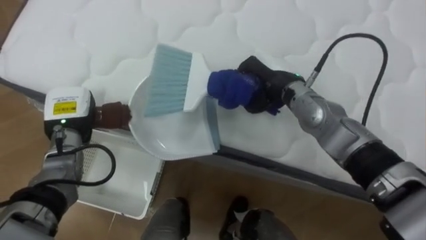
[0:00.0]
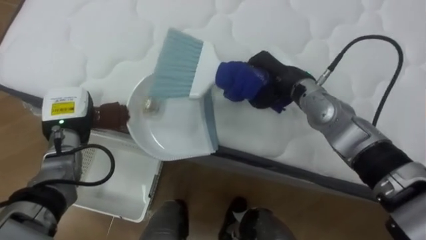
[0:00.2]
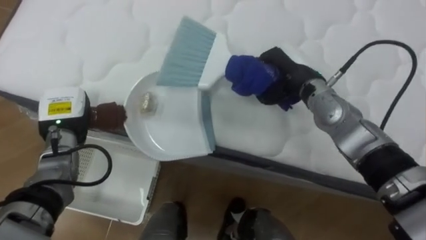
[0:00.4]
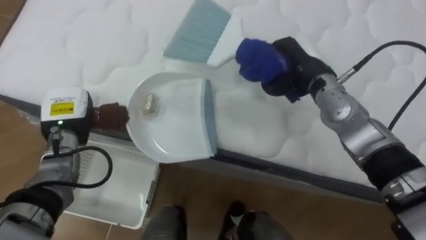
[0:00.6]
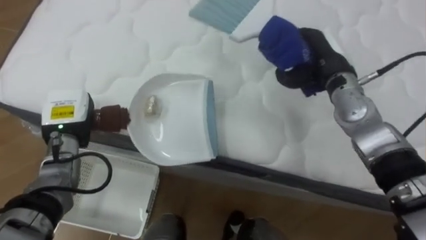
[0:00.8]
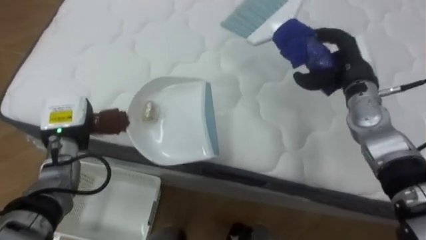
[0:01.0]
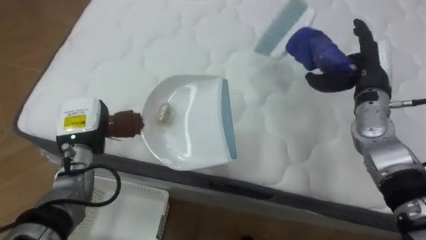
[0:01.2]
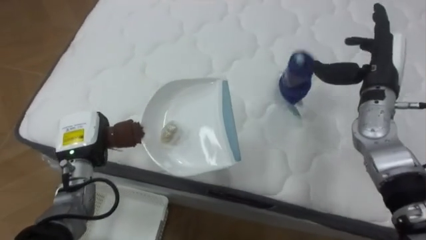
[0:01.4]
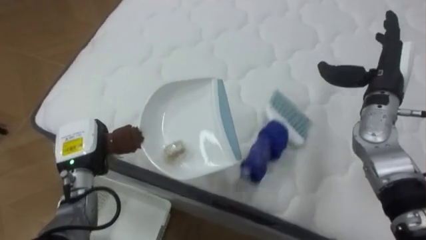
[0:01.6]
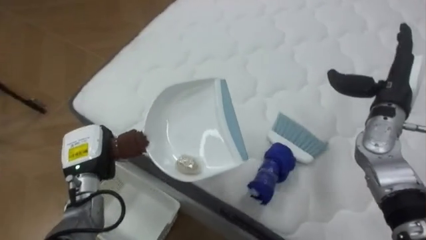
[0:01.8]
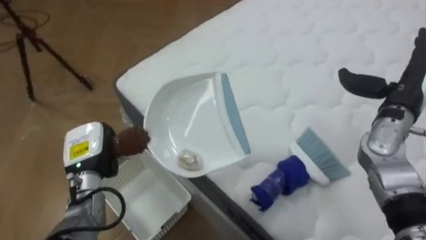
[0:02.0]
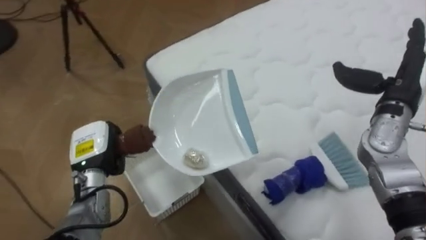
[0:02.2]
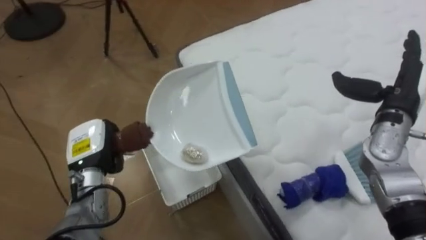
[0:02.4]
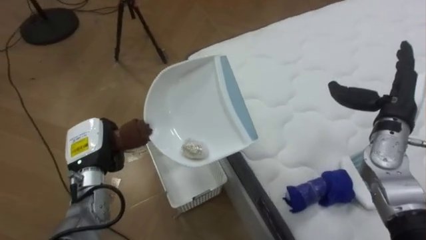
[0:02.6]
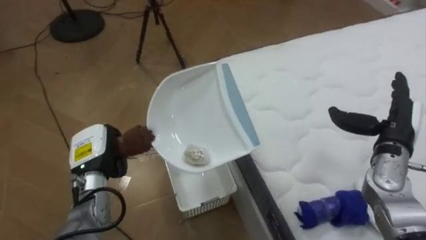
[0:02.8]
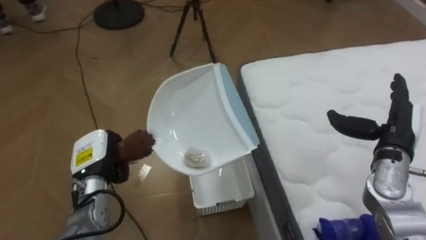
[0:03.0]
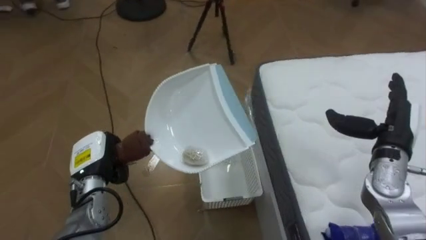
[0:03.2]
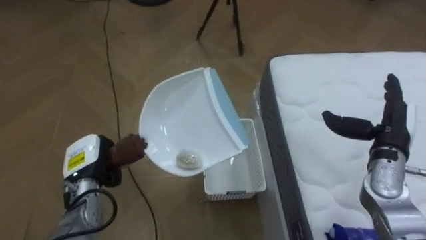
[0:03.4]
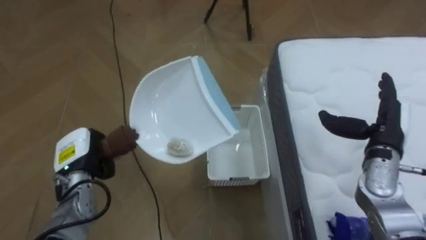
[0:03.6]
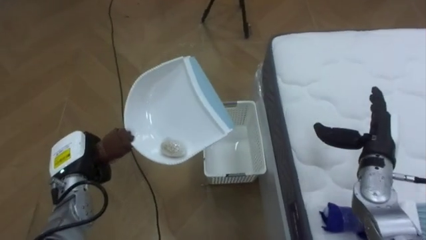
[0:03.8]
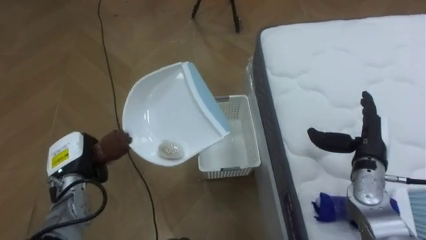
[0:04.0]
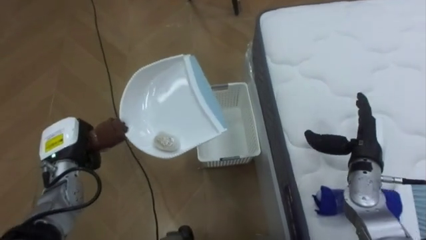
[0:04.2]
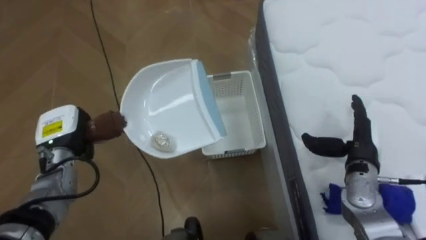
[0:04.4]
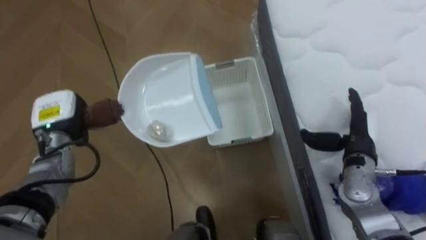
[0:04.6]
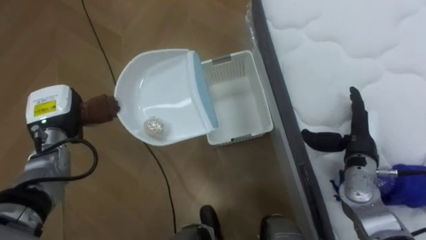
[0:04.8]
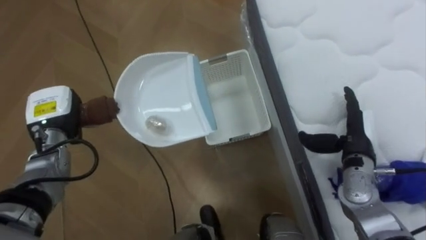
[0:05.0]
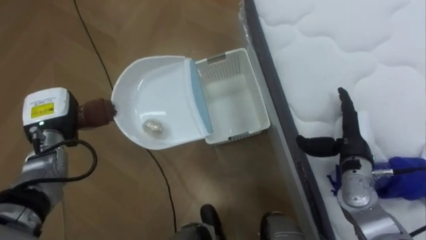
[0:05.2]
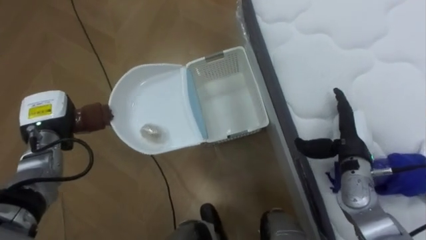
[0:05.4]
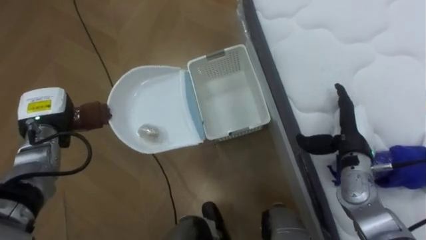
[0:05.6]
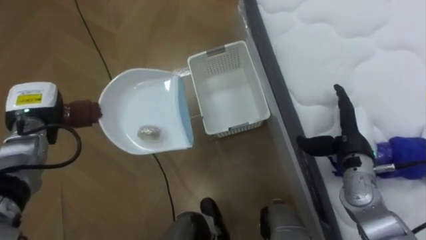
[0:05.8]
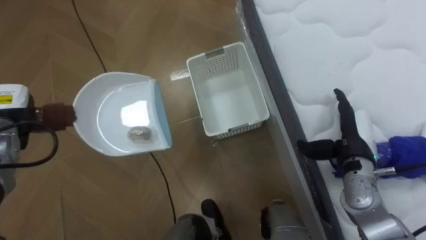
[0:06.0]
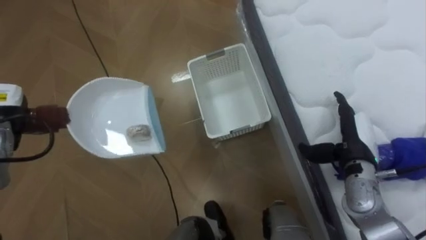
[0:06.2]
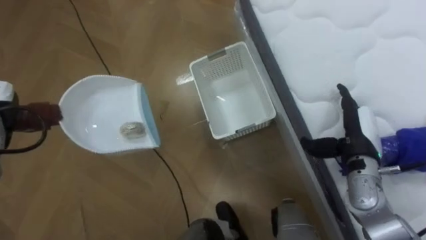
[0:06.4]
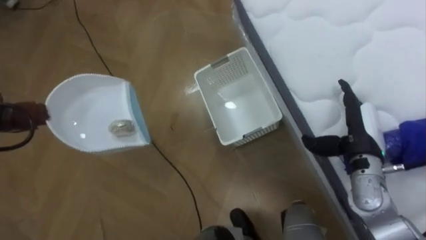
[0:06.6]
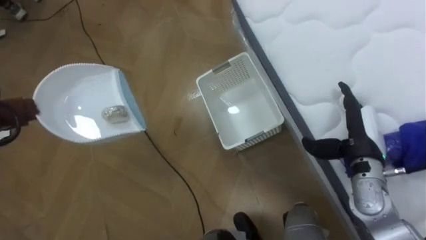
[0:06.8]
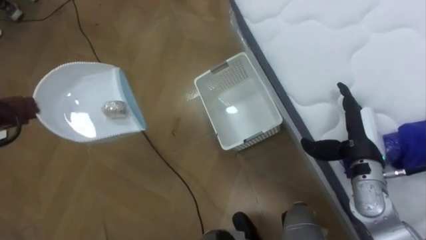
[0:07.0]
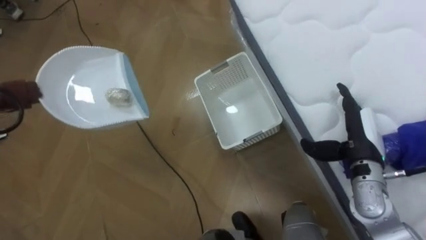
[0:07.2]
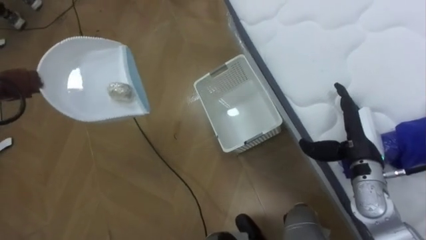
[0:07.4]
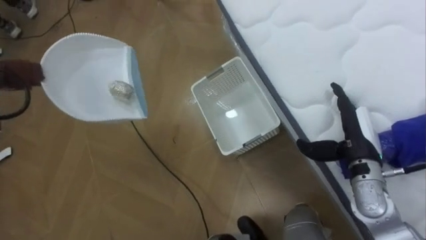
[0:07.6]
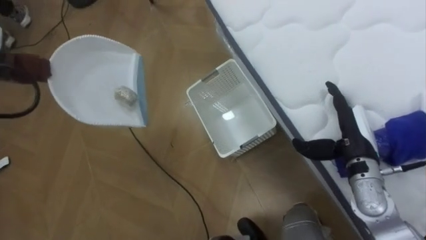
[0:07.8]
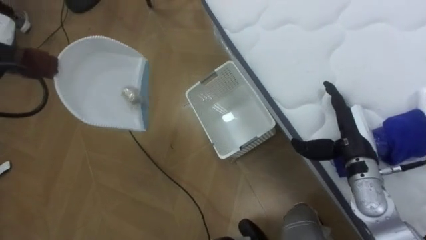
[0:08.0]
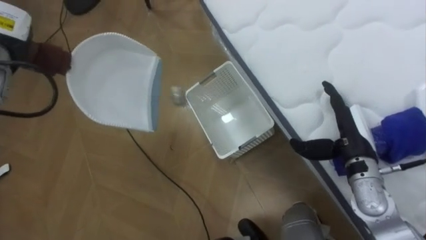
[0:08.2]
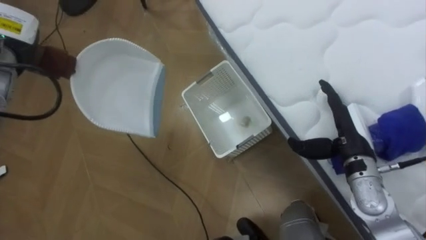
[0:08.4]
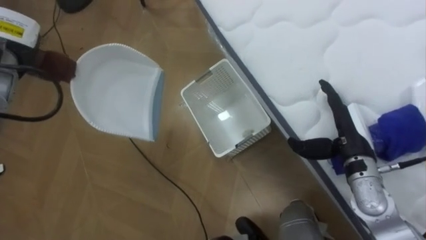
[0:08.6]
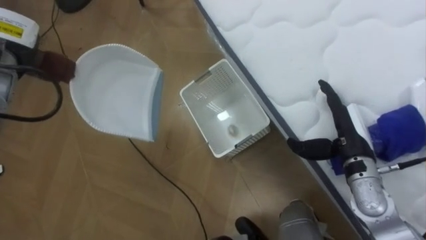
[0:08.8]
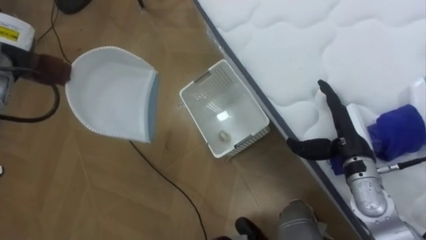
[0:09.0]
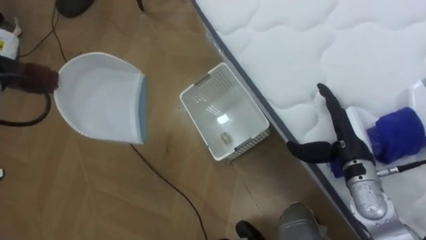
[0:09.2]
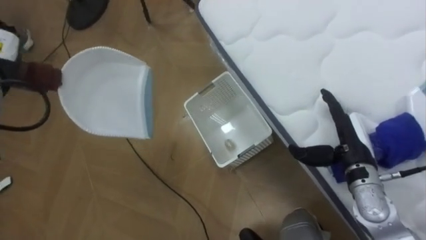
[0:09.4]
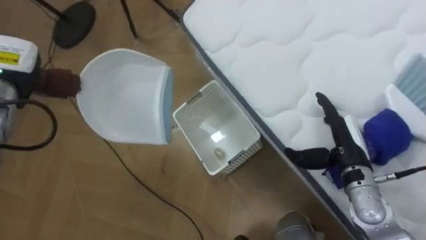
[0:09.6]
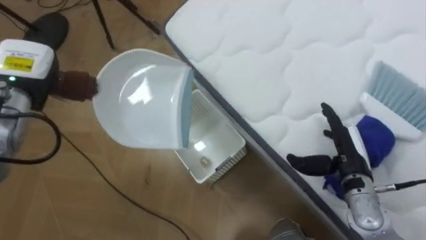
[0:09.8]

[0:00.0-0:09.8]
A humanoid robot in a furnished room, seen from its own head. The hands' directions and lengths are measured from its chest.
Task of the whole recording: Pick up the brush on your right and the dustpan on your left. Use the brush to sweep the crumpled paper on the bed into the dustpan, then turn left and empty it into the basket.
0:00.0 to 0:01.4: The right hand heads to the right, covering roughly 20 cm, and opens up. Meanwhile the left hand changes place by about 5 cm.
0:01.4 to 0:02.8: The robot faces about 60 degrees further to its left. The right hand is displaced downward and backward by roughly 10 cm.
0:02.8 to 0:04.2: The robot turns to its left by approximately 20 degrees. The right hand shifts by approximately 5 cm; the left hand shifts about 5 cm to the left.
0:04.2 to 0:05.6: The left hand is displaced upward by some 5 cm.

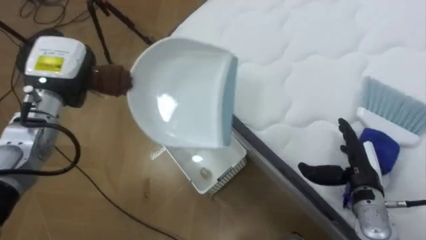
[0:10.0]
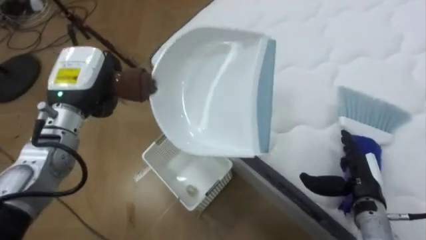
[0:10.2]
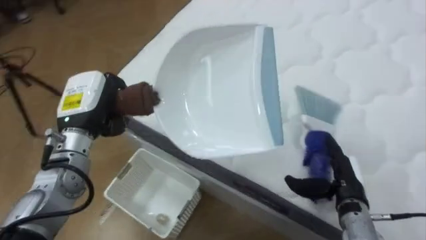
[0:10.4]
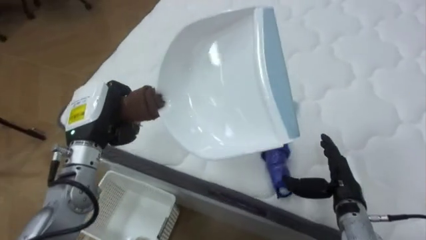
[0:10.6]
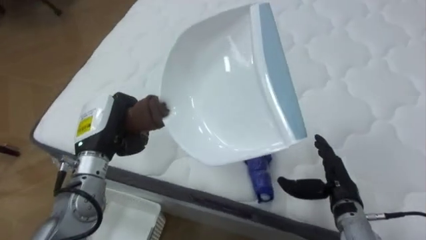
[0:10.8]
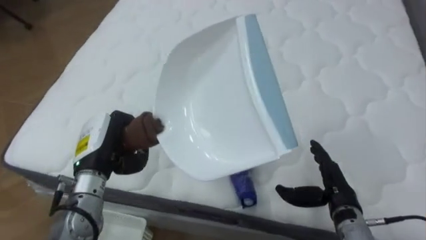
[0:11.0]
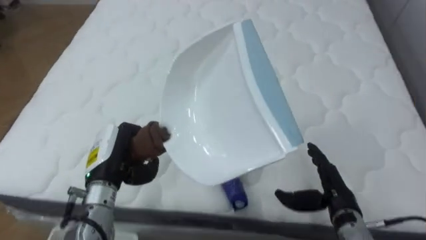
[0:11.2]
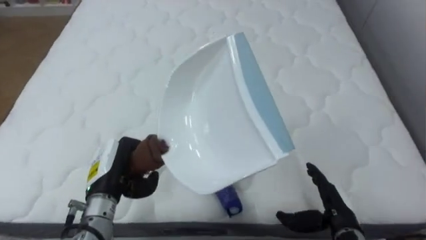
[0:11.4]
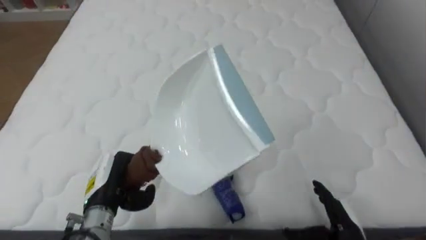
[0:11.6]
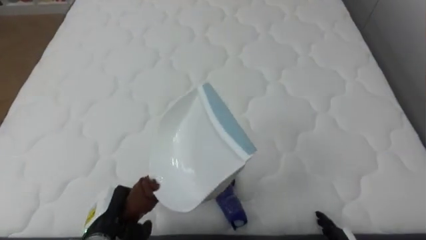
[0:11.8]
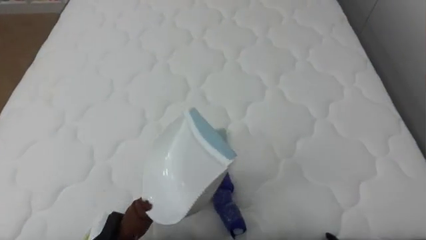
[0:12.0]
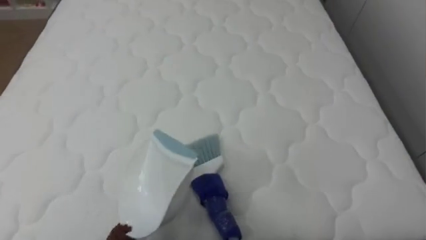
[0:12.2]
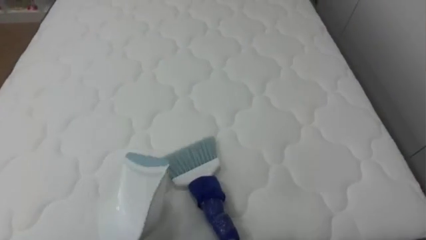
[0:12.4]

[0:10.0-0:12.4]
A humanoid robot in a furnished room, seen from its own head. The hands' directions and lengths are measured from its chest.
Task of the whole recording: Pick up the brush on your right and the dustpan on your left. Use the brush to sweep the crumpled paper on the bed into the dustpan, then turn left and empty it into the basket.
0:10.0 to 0:11.2: The robot's body swings approximately 55 degrees to its right. The right hand moves about 5 cm, while the left hand is displaced backward, downward and to the right by some 15 cm.

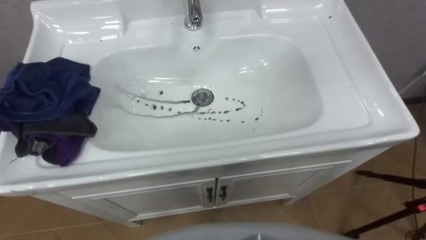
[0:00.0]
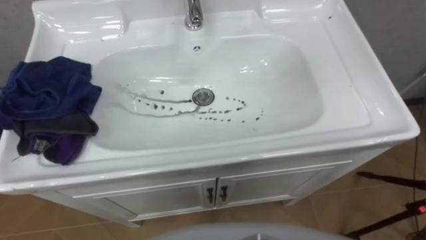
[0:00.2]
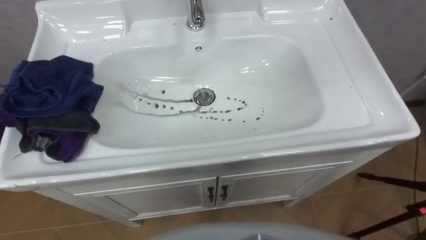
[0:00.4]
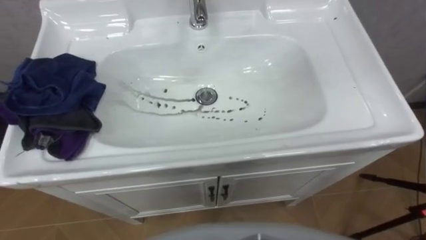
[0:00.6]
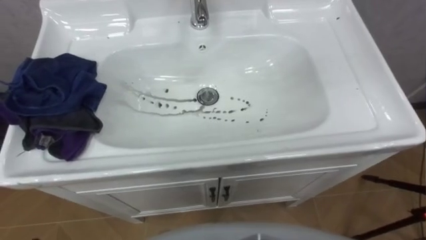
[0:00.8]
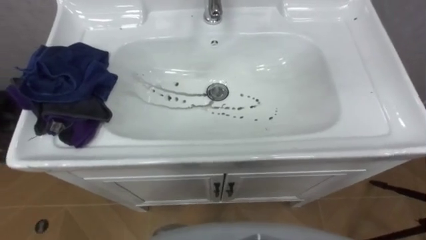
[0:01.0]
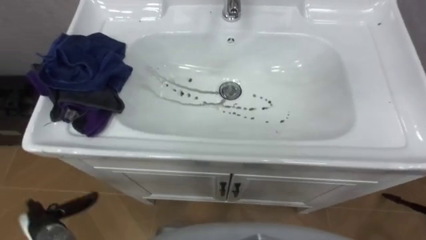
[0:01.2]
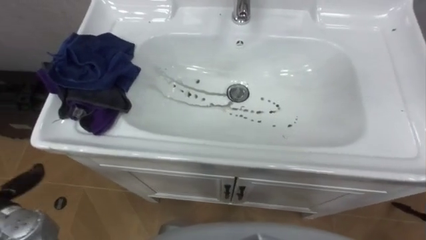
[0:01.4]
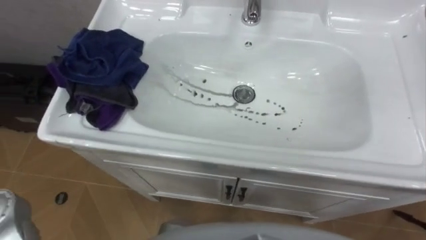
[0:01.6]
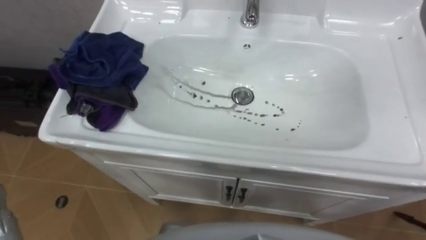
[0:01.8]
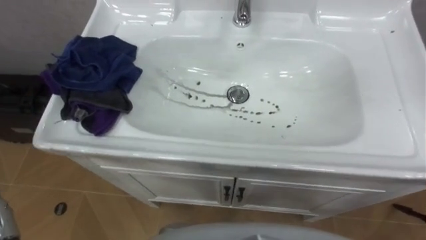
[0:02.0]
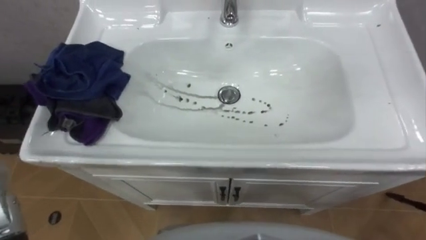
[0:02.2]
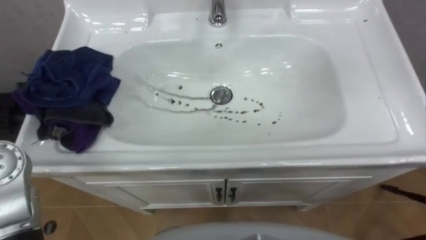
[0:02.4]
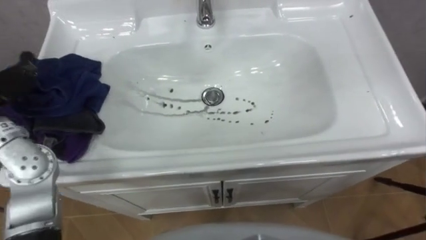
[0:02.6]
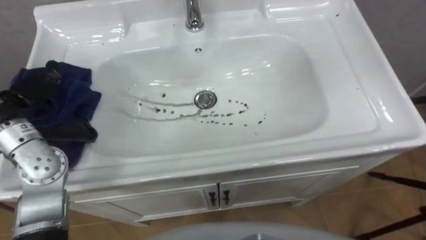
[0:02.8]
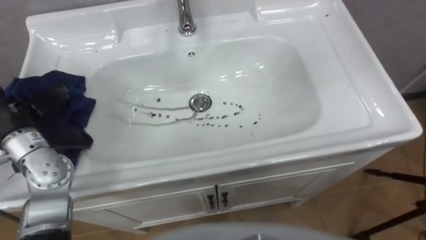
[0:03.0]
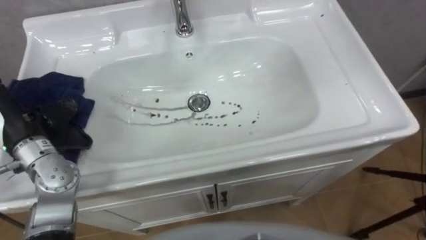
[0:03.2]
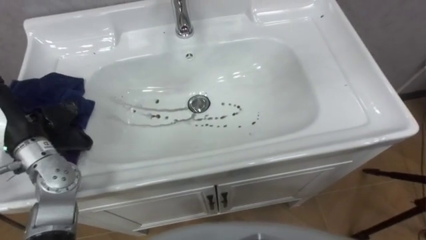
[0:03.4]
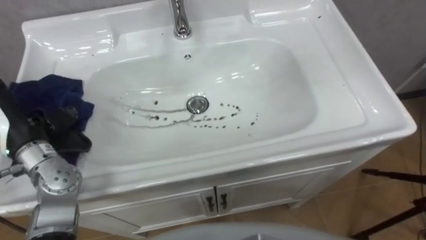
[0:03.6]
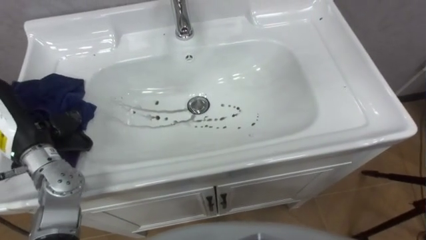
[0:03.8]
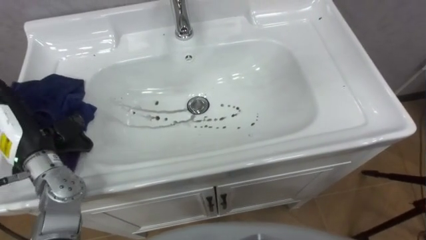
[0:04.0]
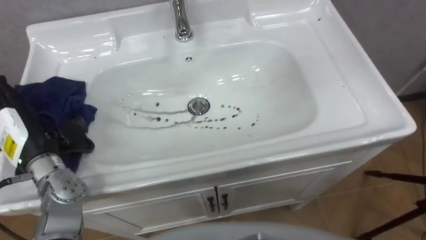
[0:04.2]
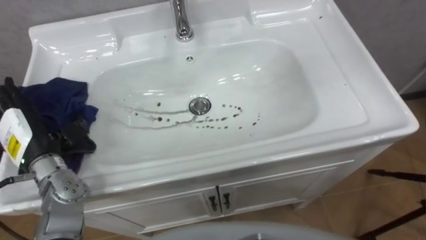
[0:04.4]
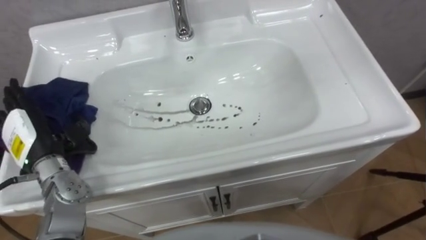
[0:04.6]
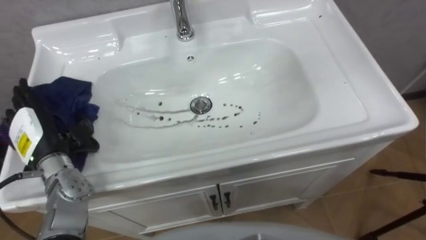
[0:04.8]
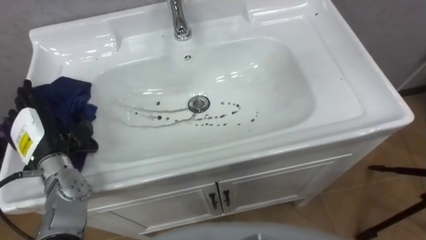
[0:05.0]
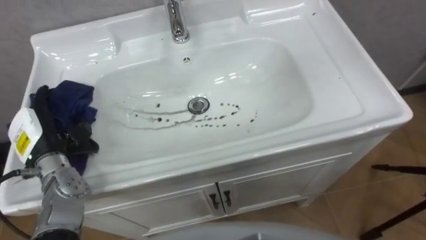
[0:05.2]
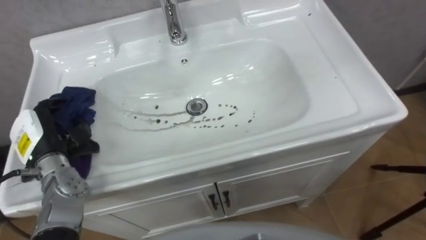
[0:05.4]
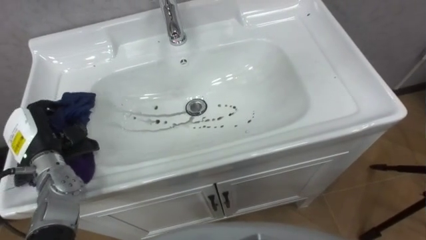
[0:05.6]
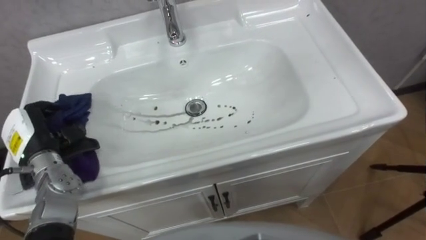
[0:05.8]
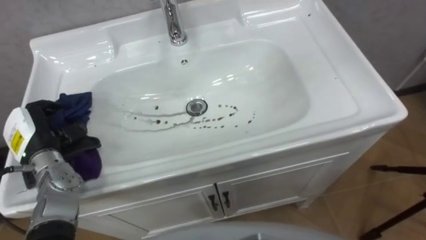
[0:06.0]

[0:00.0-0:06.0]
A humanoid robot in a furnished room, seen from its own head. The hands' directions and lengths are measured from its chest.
Task of the whole recording: Use the cloth on the right to wipe away the black stain in the sink.
0:04.4 to 0:06.0: The left hand closes.
